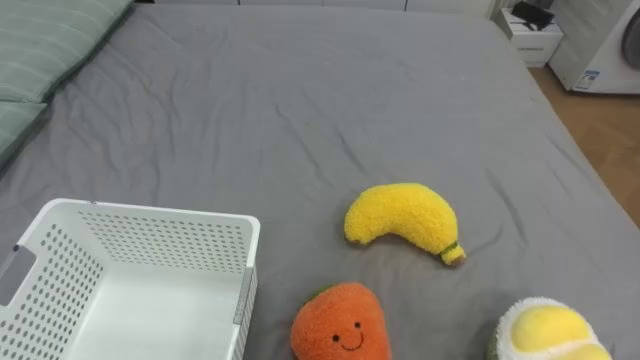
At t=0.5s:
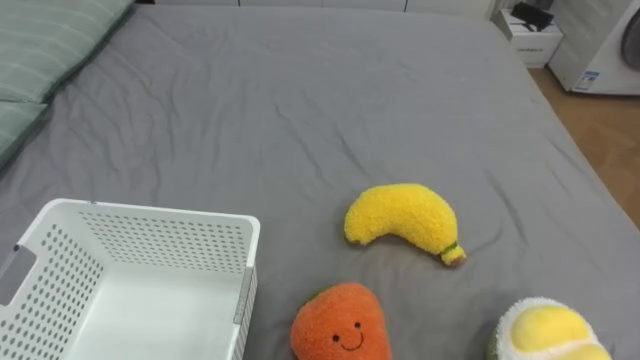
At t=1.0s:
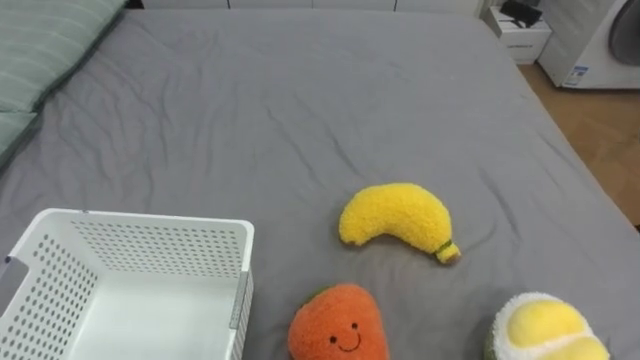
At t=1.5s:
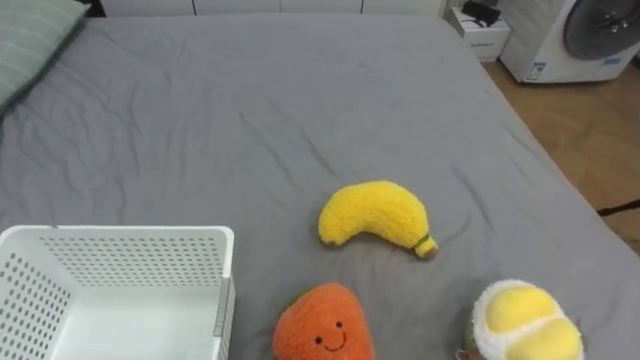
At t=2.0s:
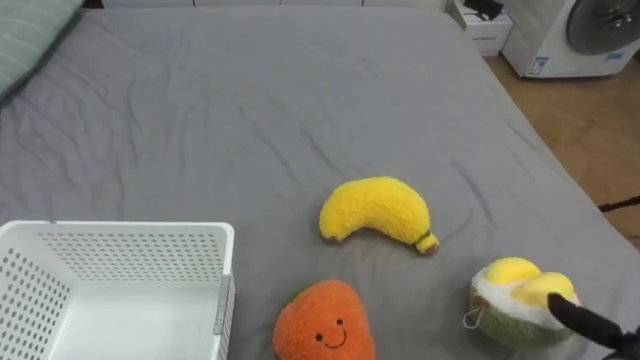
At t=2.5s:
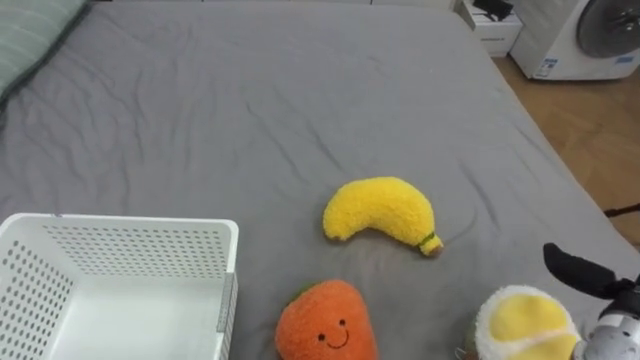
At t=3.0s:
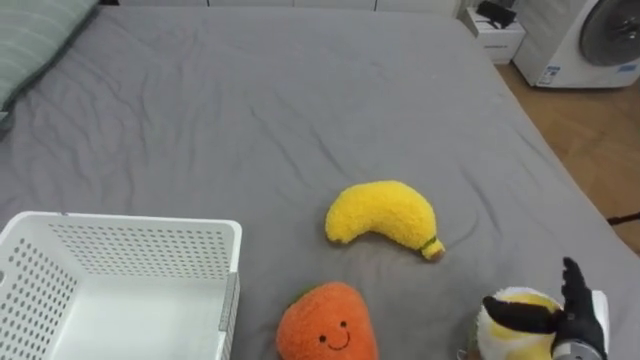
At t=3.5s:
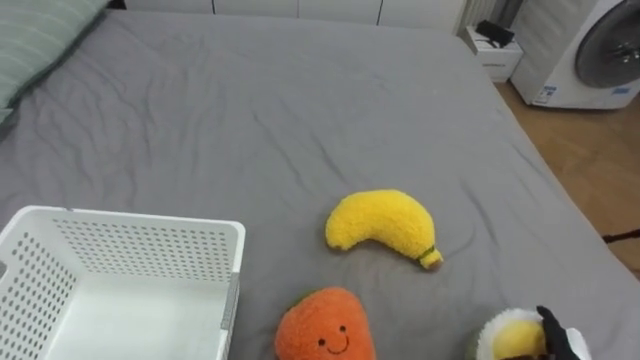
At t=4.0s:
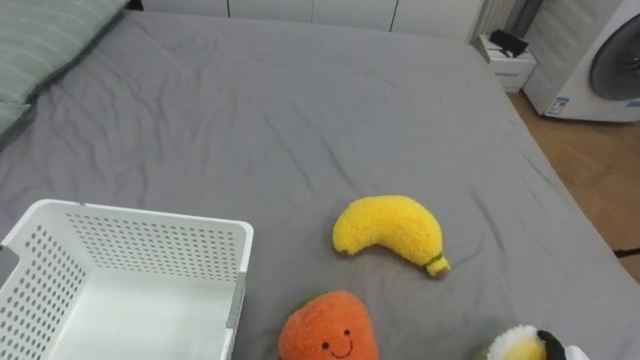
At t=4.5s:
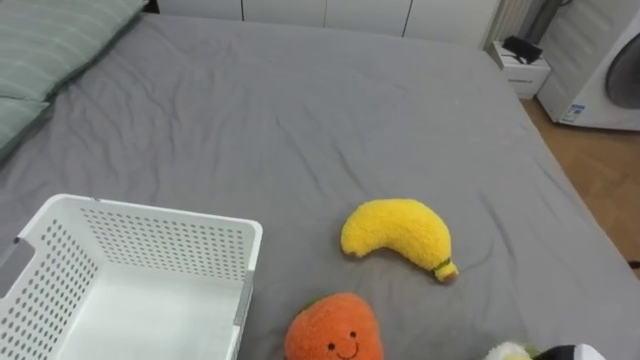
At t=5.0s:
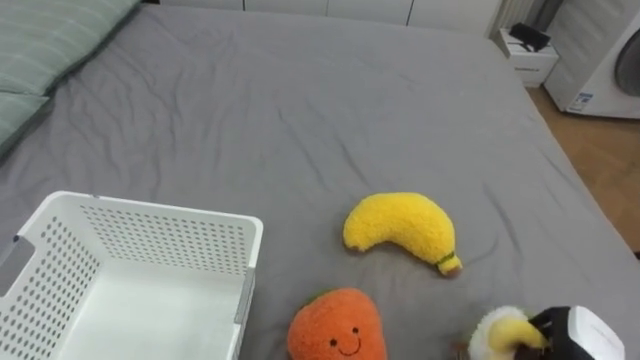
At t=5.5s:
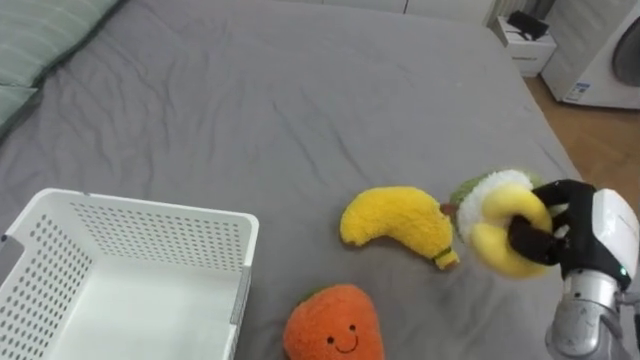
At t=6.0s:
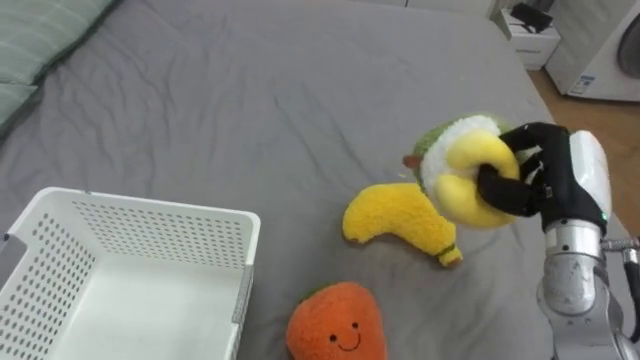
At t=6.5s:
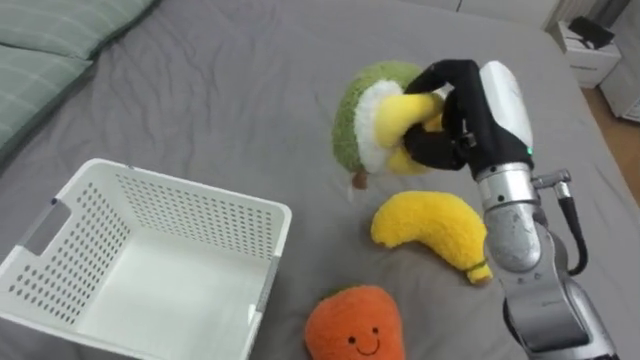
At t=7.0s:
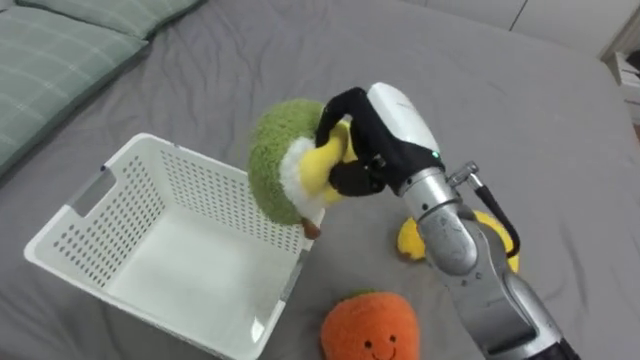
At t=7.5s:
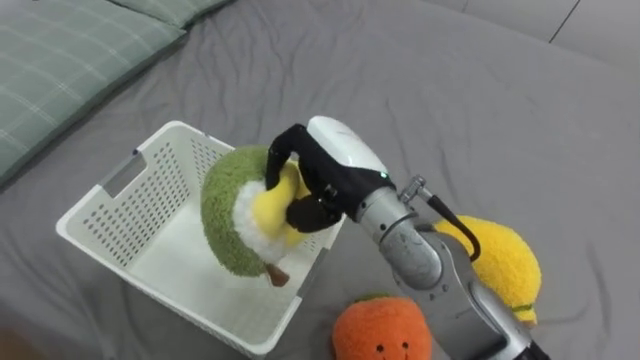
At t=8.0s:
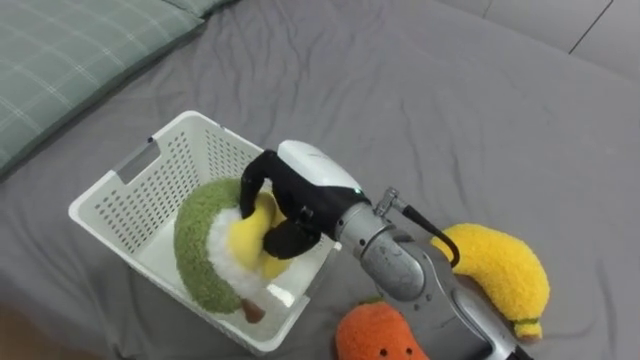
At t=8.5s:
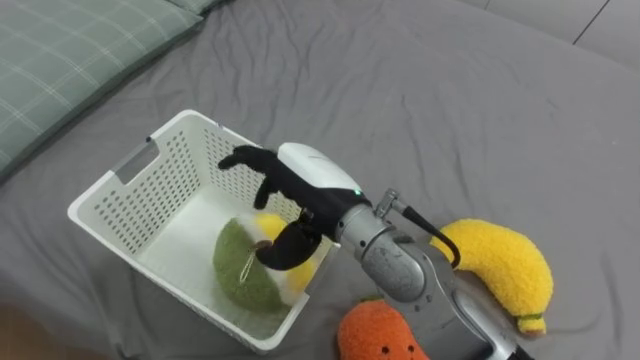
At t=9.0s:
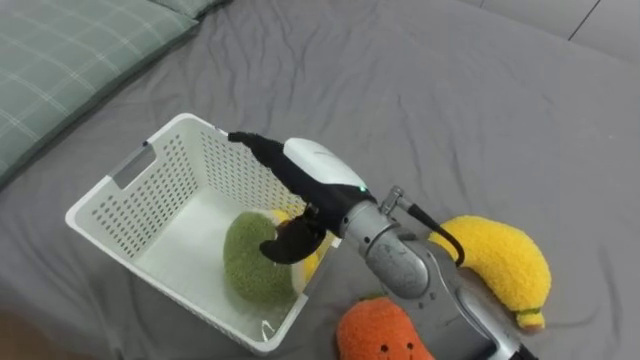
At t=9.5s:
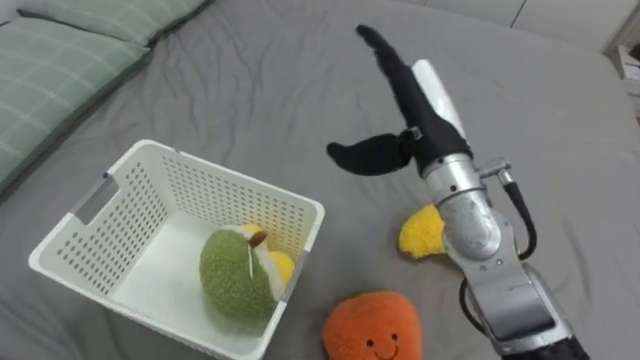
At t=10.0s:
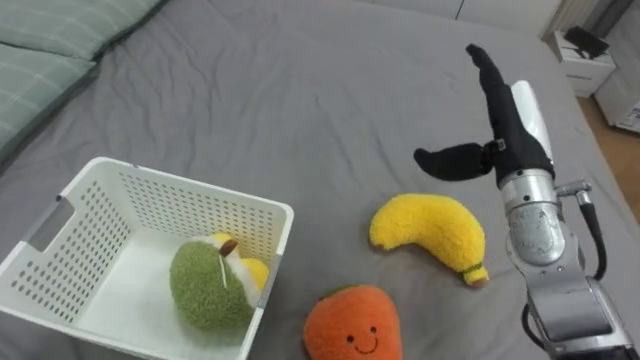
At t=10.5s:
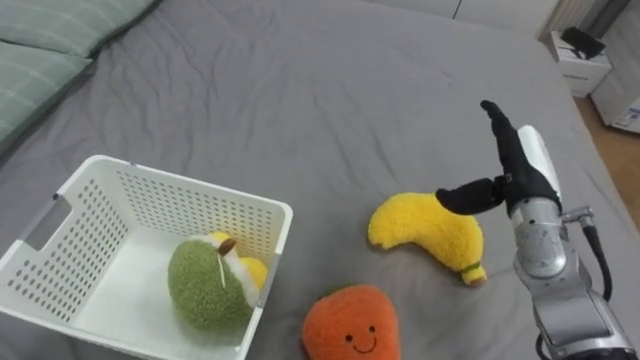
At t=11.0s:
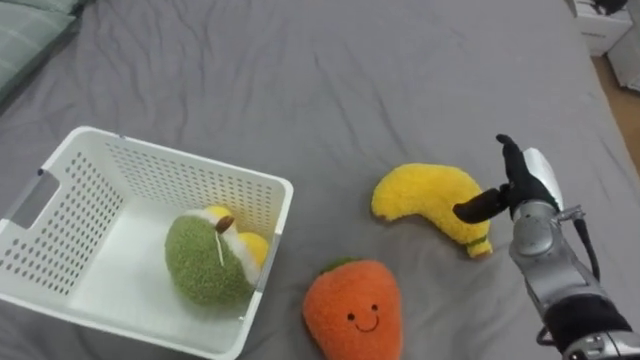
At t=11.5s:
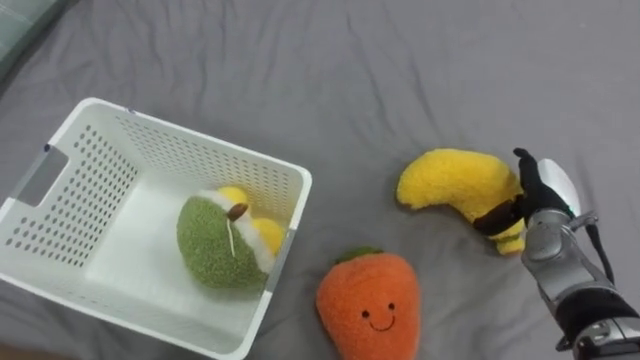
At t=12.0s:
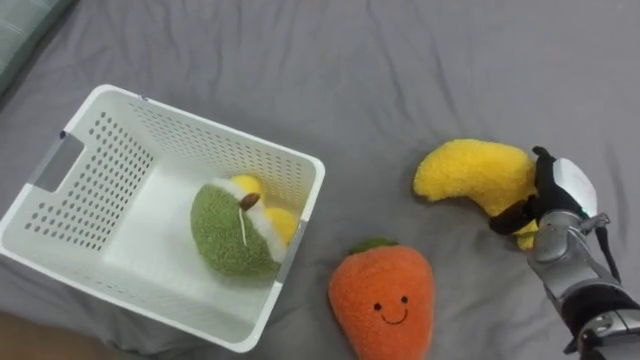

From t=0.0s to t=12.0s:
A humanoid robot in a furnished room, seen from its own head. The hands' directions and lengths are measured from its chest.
Task of the whole recording: Put the toys on the bed into the basket on the left.
From t=6.0s to t=8.0s: The right hand heads to the left, covering about 30 cm.
From t=8.0s to t=10.0s: The right hand is displaced to the right by roughly 25 cm, and opens up.
From t=10.0s to t=12.0s: The right hand is displaced downward and to the right by about 15 cm.

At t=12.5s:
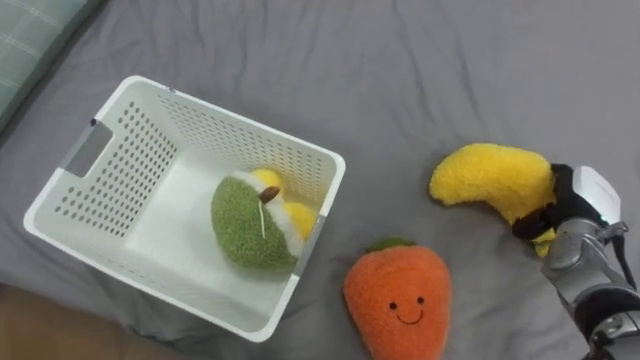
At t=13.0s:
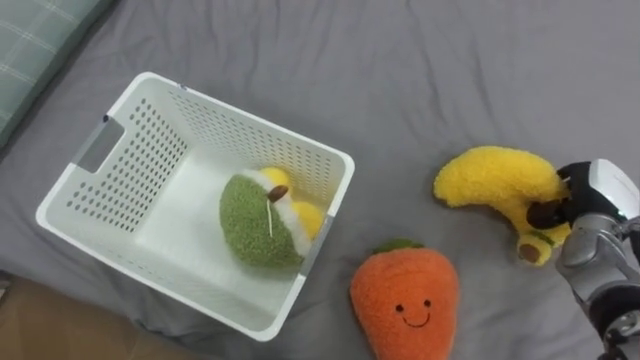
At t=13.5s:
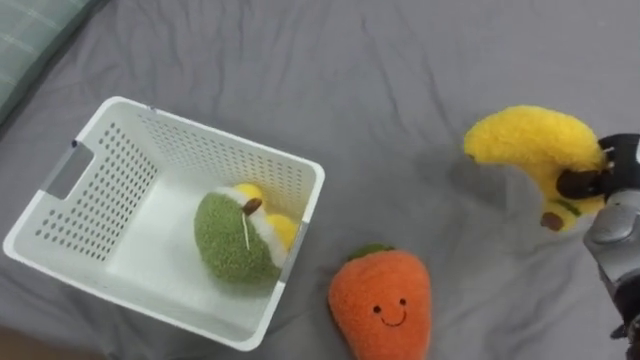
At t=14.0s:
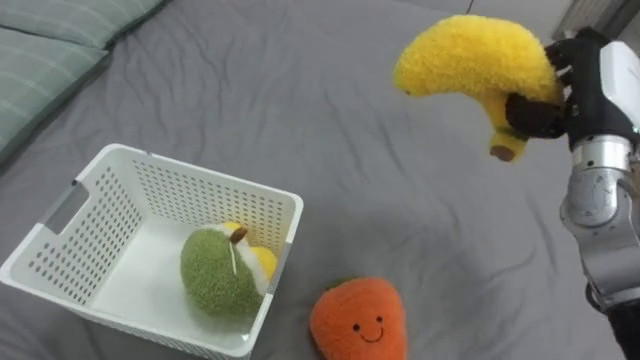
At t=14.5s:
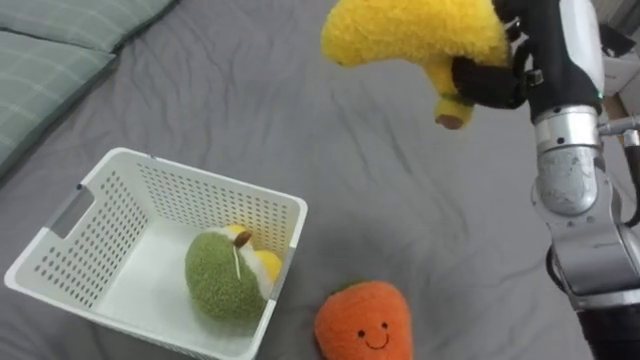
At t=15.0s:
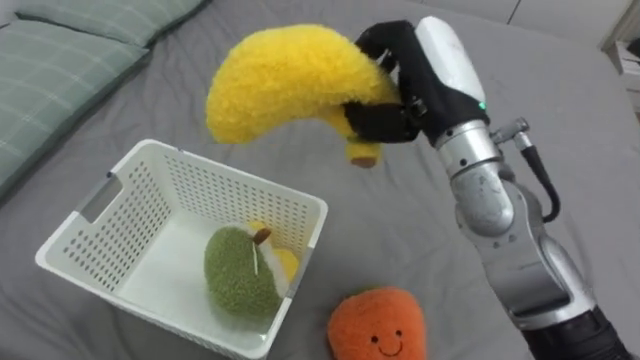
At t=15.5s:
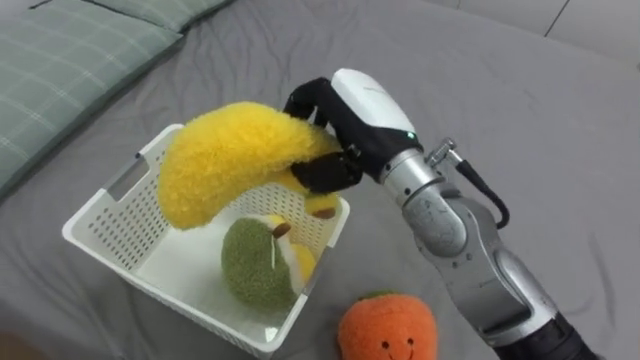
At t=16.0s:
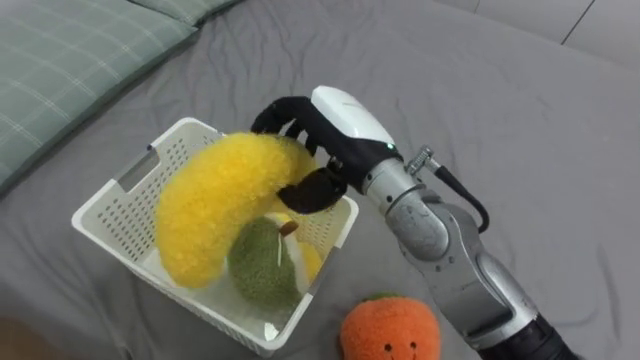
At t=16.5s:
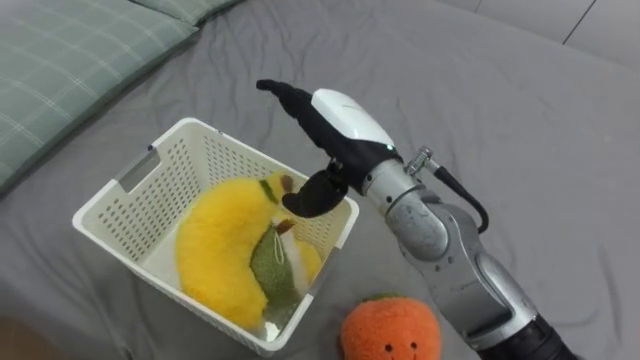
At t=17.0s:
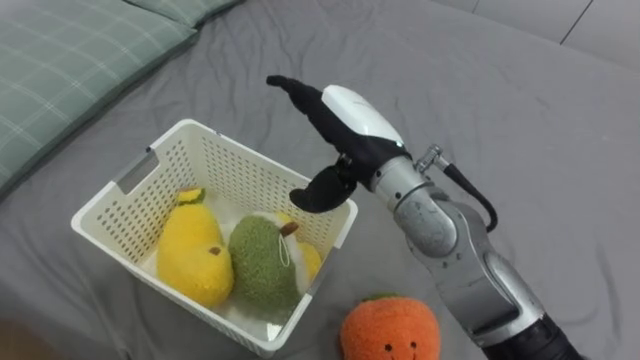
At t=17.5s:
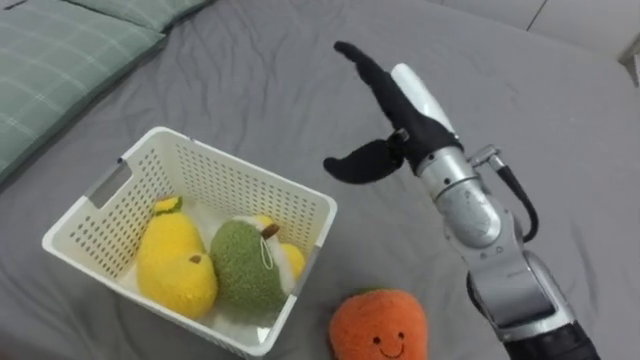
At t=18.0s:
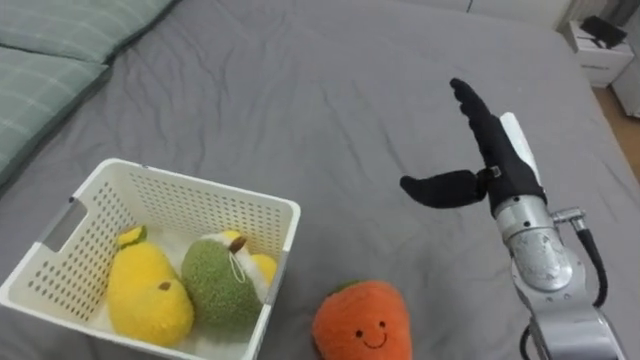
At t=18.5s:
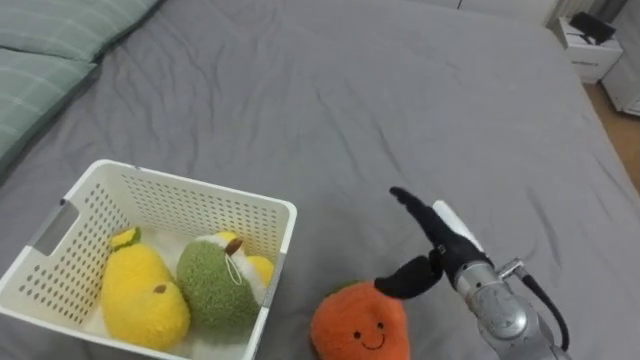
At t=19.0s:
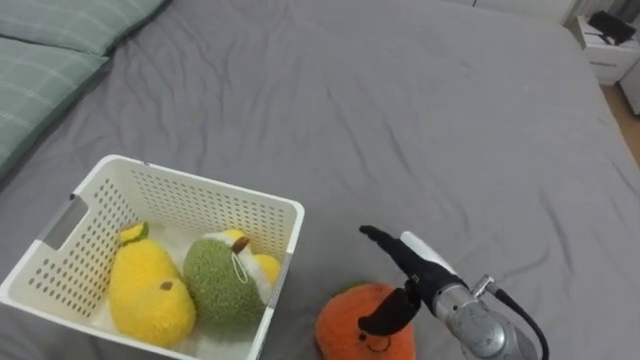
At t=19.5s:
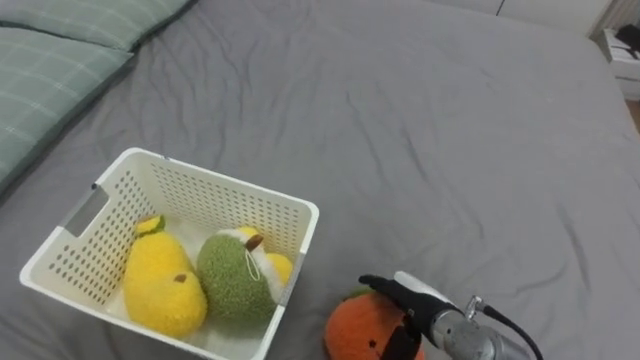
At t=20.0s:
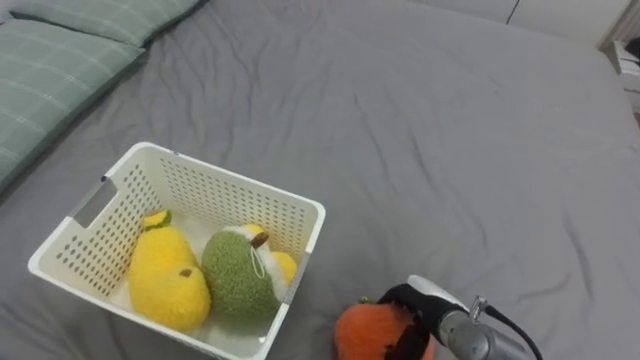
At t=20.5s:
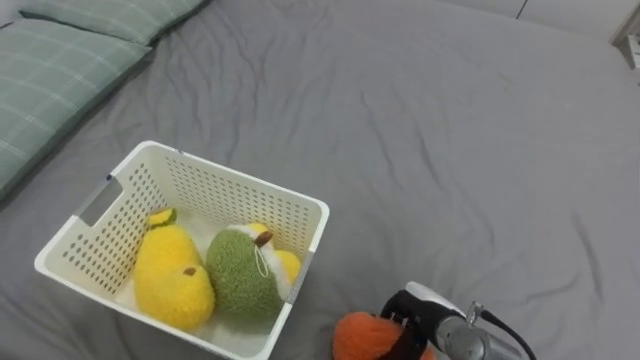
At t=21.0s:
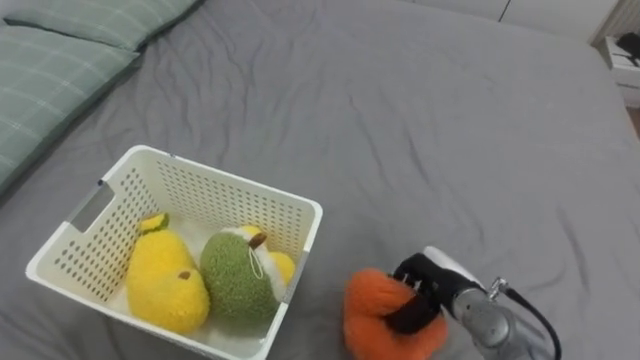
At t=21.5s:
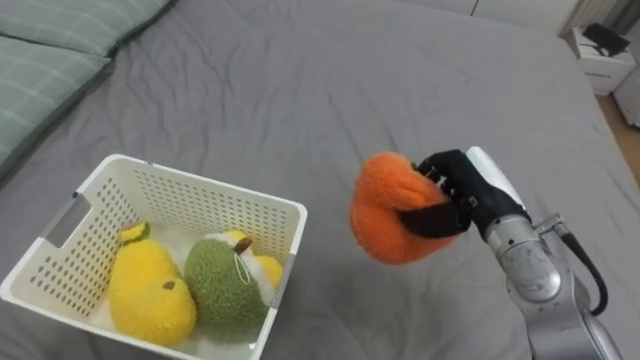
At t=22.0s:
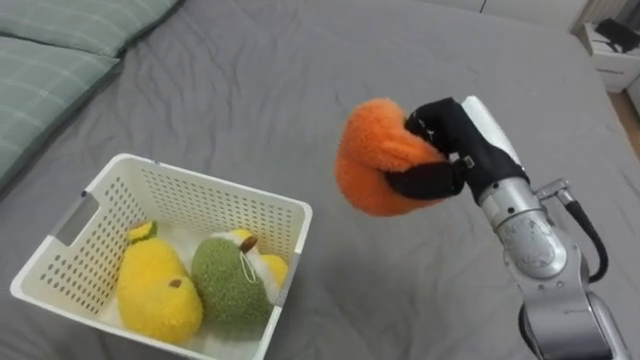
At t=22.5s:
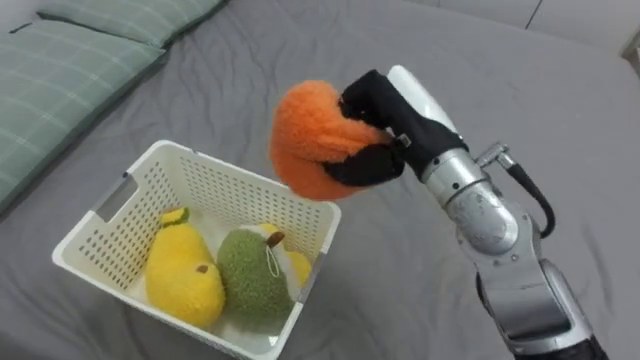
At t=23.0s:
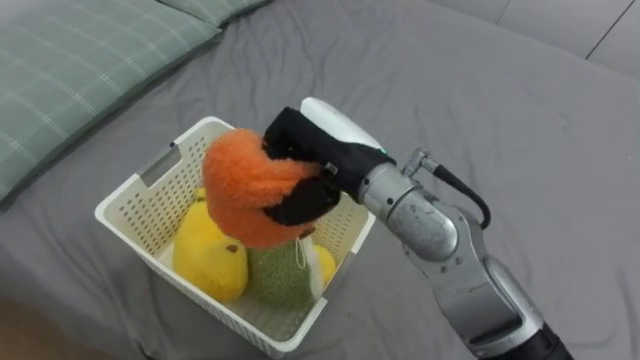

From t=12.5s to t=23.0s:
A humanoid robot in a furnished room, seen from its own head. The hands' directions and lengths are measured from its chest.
Task of the whole recording: Put the toys on the bed into the basket on the left.
From t=12.5s to t=14.5s: The right hand moves upward and to the left, about 25 cm, and closes its fingers.
From t=14.5s to t=16.5s: The right hand shifts roughly 20 cm to the left, and opens up.
From t=16.5s to t=19.0s: The right hand travels downward and to the right by some 20 cm.
From t=19.0s to t=21.0s: The right hand closes its fingers.
From t=21.0s to t=23.0s: The right hand is displaced upward and to the left by approximately 30 cm.
